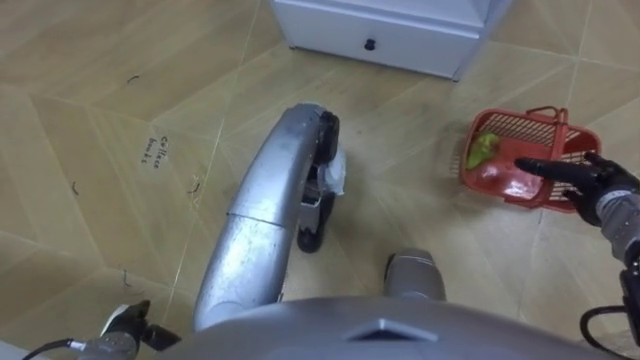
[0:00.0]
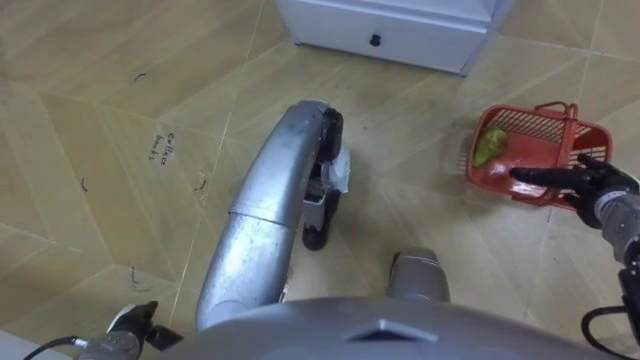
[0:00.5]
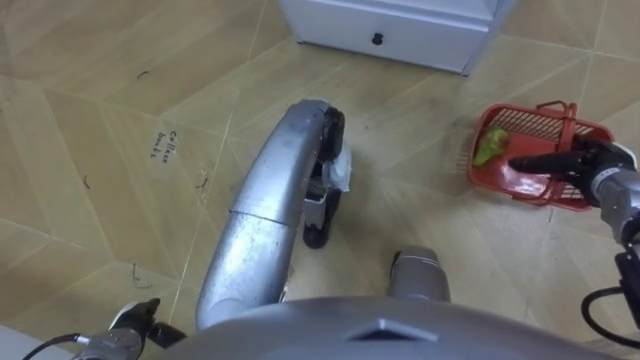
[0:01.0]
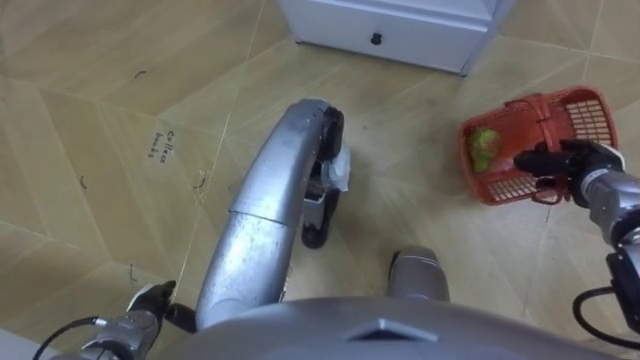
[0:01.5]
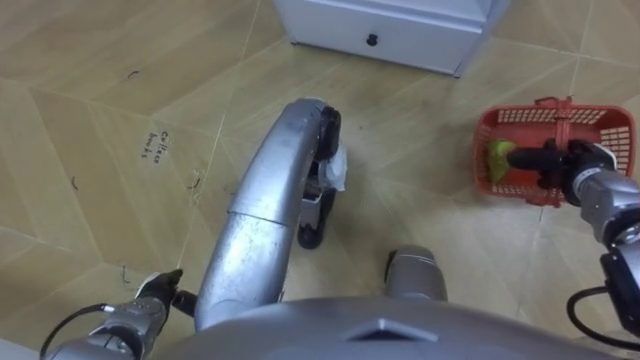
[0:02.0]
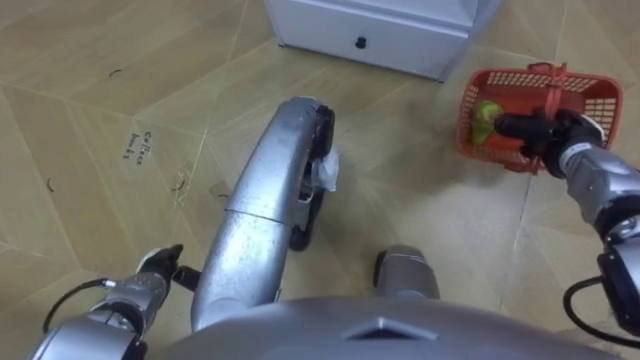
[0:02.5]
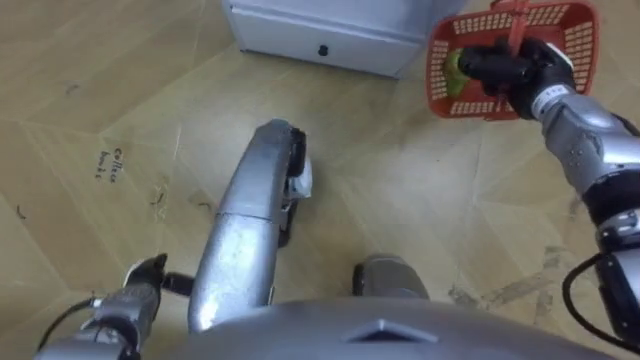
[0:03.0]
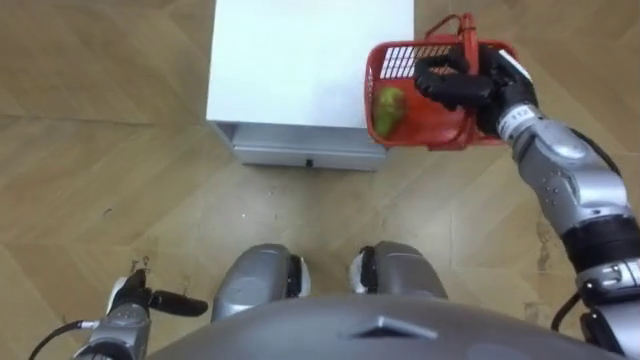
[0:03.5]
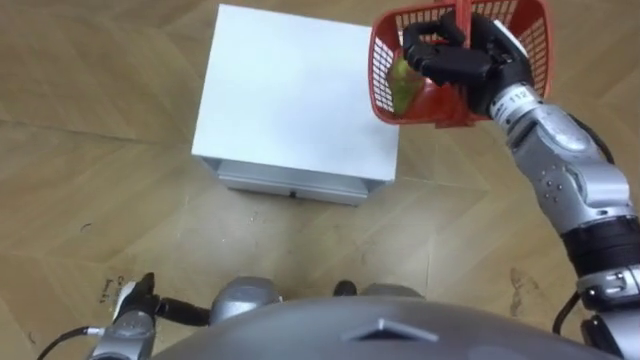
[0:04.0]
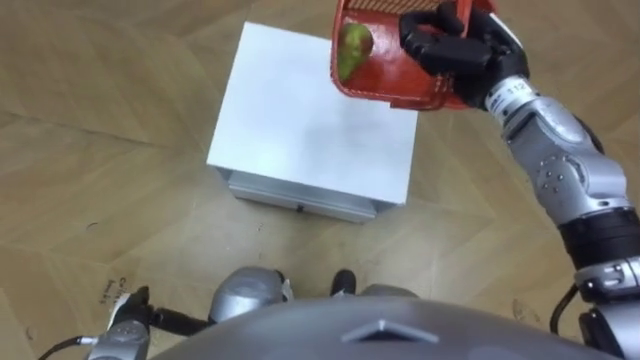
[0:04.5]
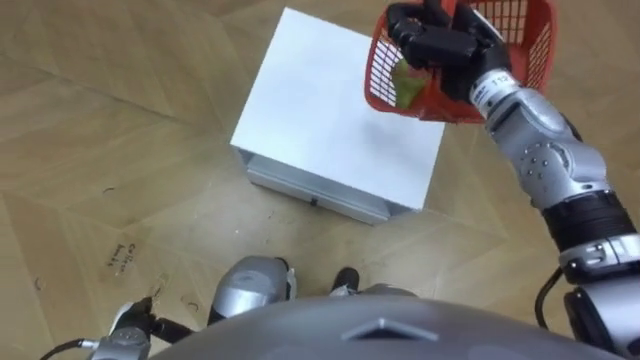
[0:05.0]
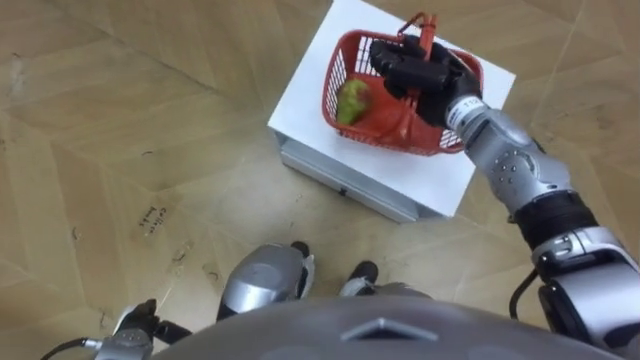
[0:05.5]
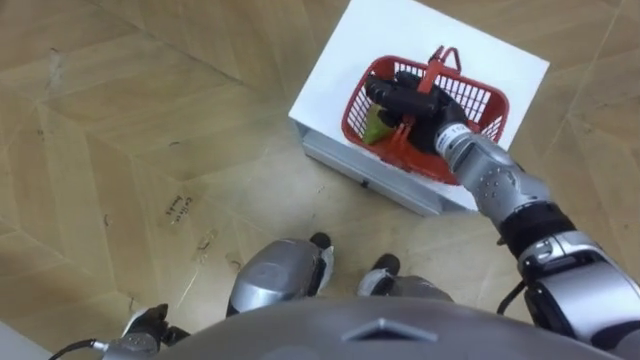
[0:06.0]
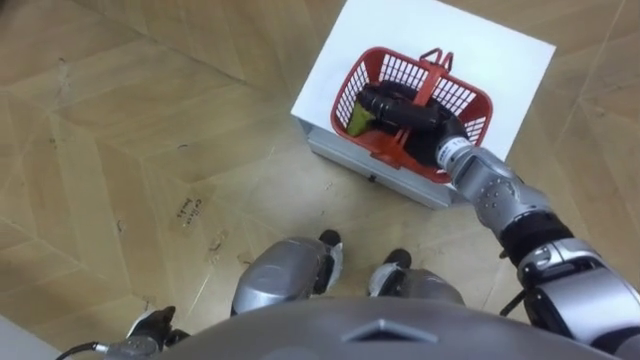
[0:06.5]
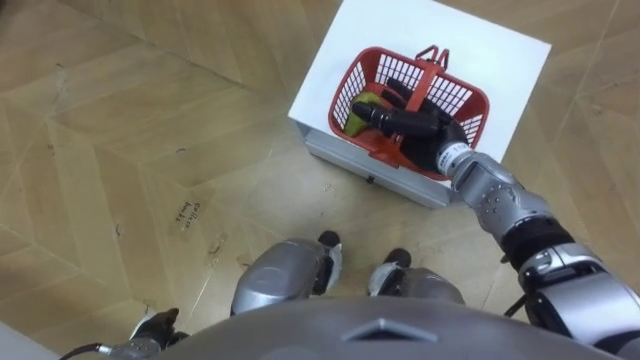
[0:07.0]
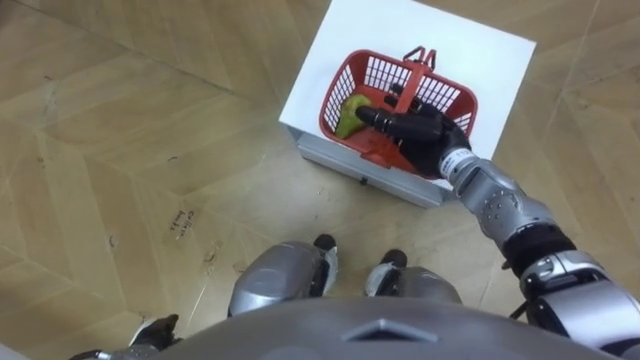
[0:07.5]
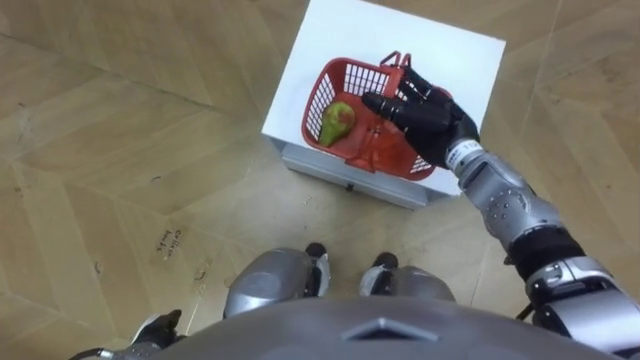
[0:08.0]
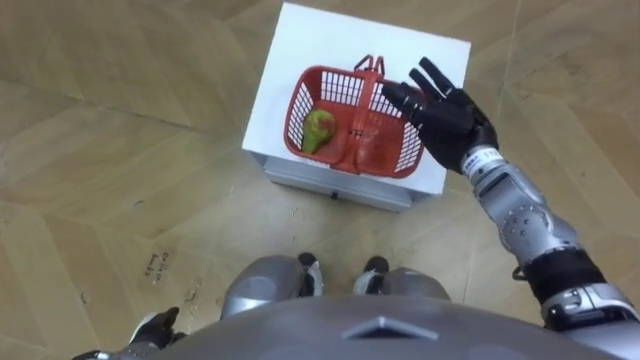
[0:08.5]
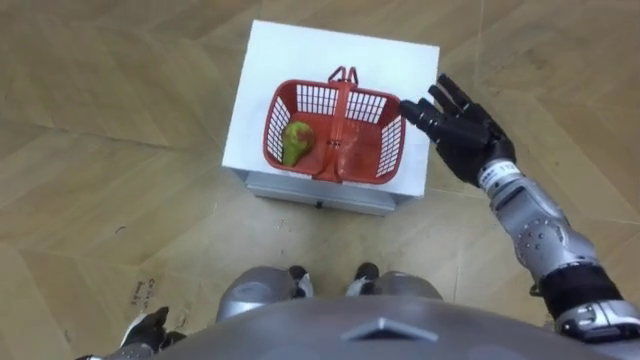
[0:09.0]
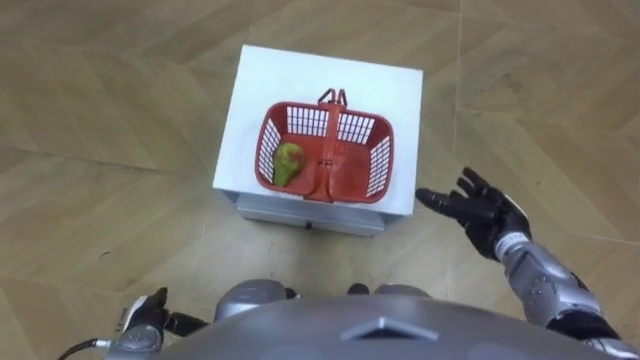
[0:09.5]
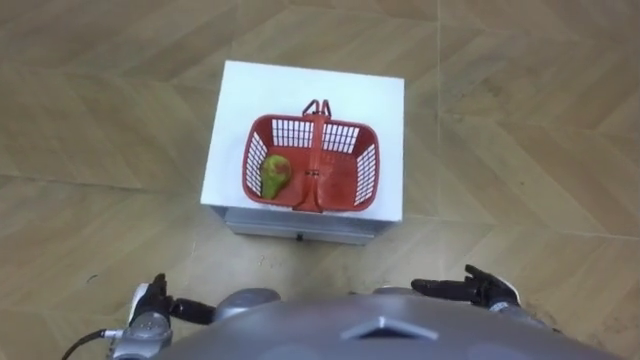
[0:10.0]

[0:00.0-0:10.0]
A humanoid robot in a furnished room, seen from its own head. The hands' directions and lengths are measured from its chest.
Task of the whole recording: Pick up the fruit basket from the floor and place it on the cabinet.
0:00.0 to 0:02.0: The right hand closes its fingers. Meanwhile the left hand ends up about 5 cm from where it was.
0:02.0 to 0:04.0: The right hand is displaced to the left, upward and forward by roughly 25 cm.
0:04.0 to 0:06.0: The right hand shifts some 10 cm downward and to the left.
0:06.0 to 0:08.0: The right hand opens.
0:08.0 to 0:10.0: The right hand travels backward, downward and to the right by roughly 30 cm; the left hand travels forward by approximately 5 cm.

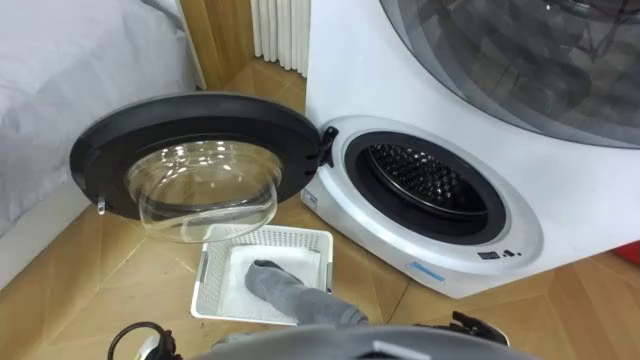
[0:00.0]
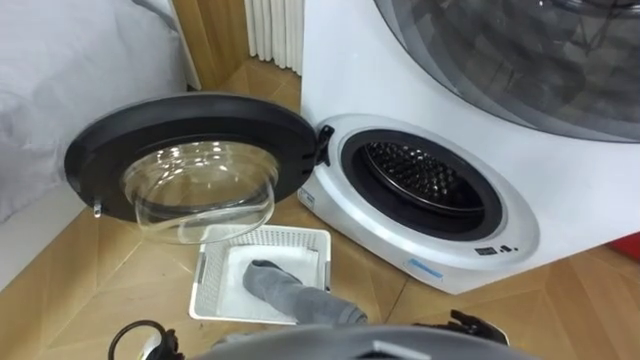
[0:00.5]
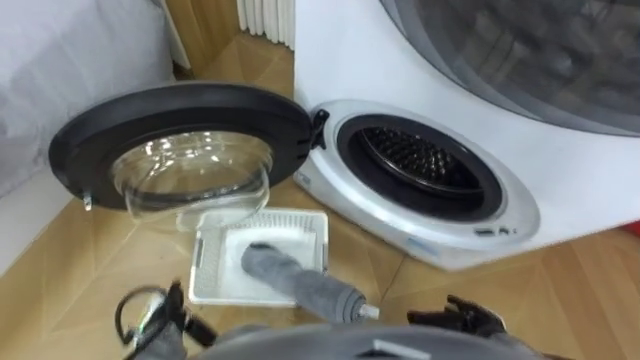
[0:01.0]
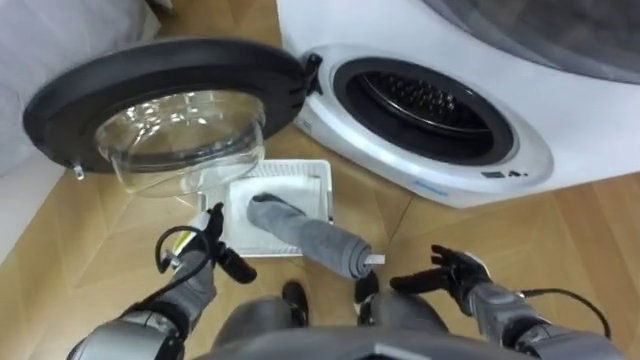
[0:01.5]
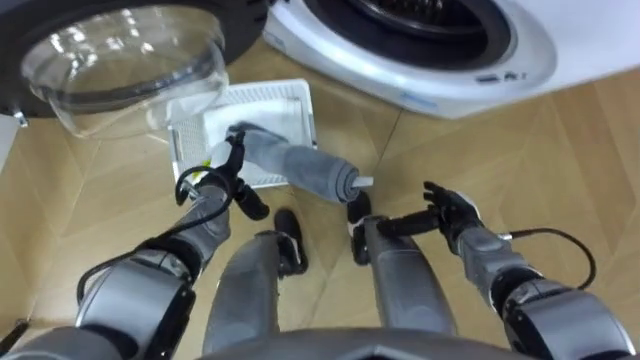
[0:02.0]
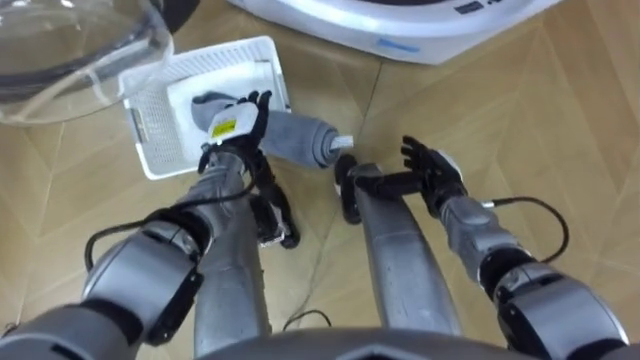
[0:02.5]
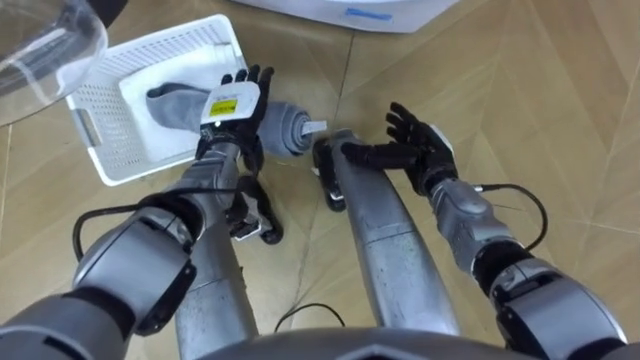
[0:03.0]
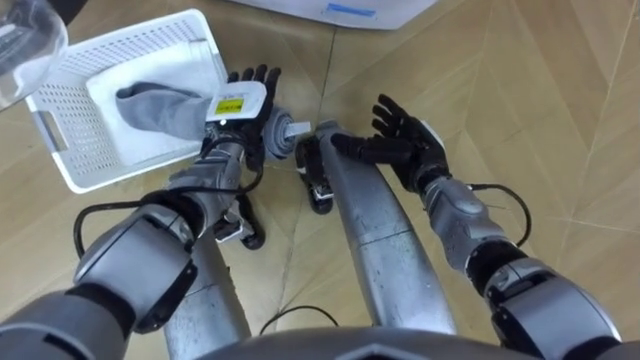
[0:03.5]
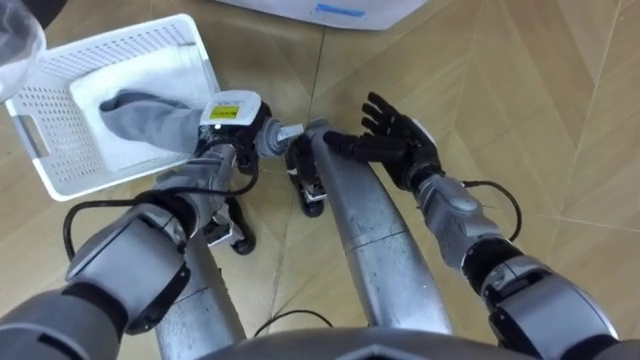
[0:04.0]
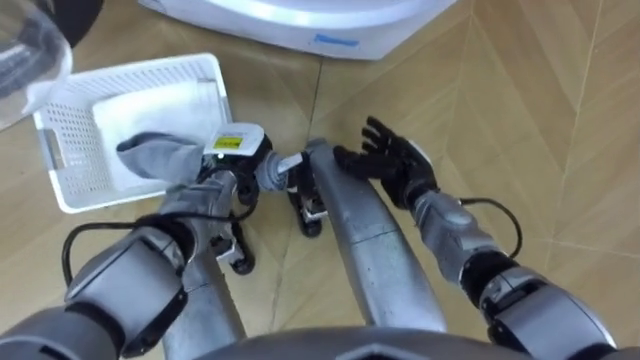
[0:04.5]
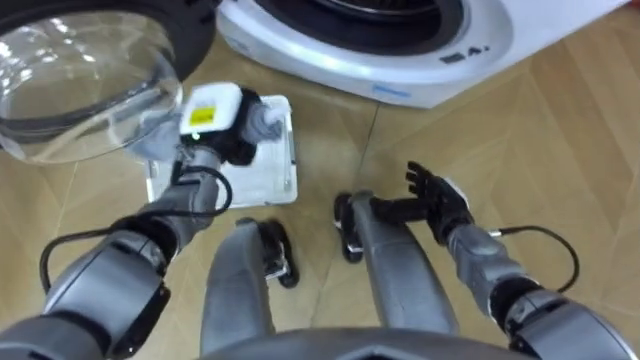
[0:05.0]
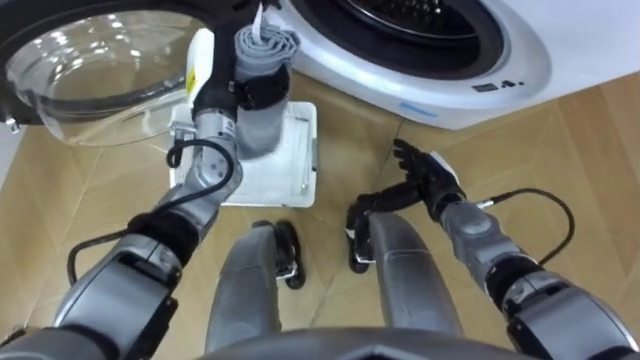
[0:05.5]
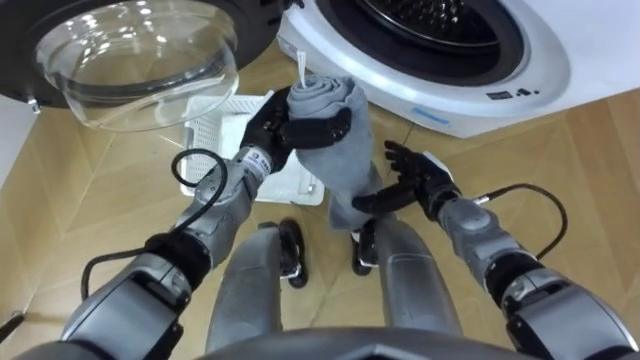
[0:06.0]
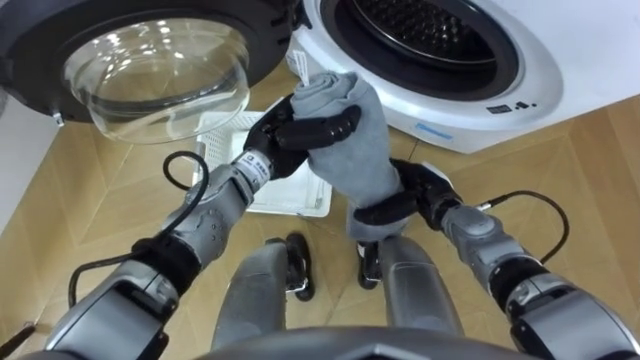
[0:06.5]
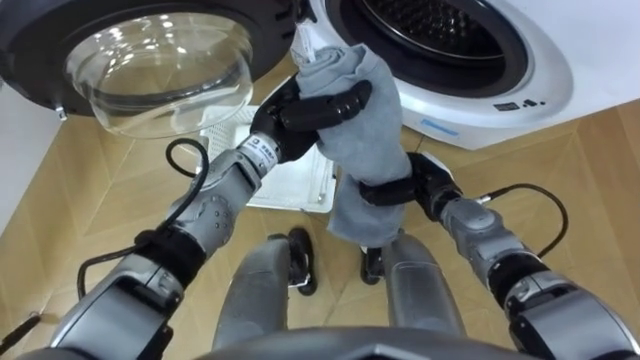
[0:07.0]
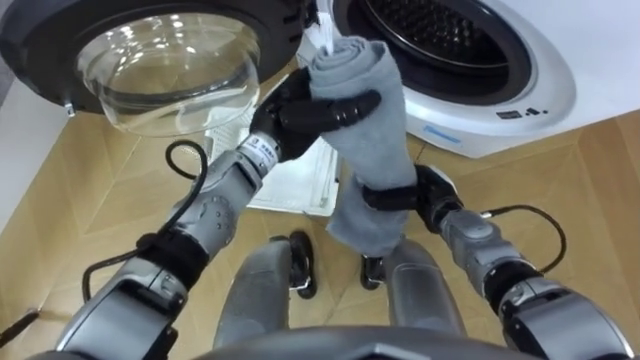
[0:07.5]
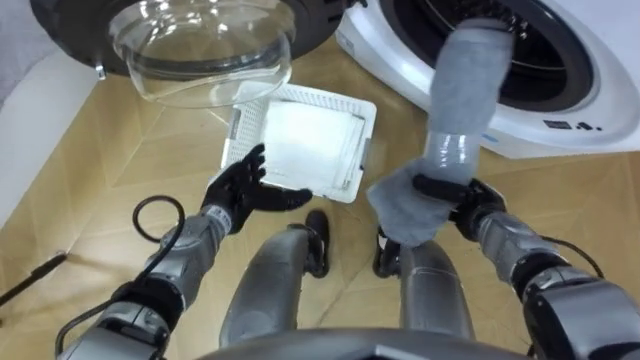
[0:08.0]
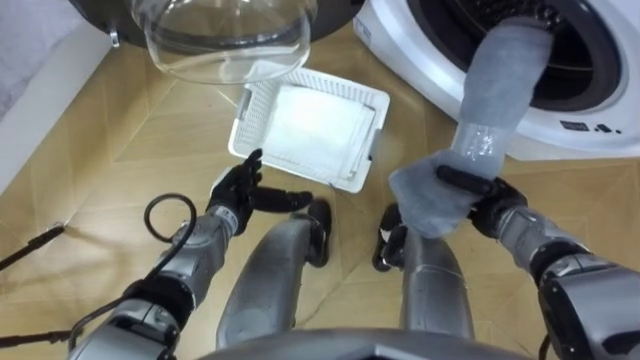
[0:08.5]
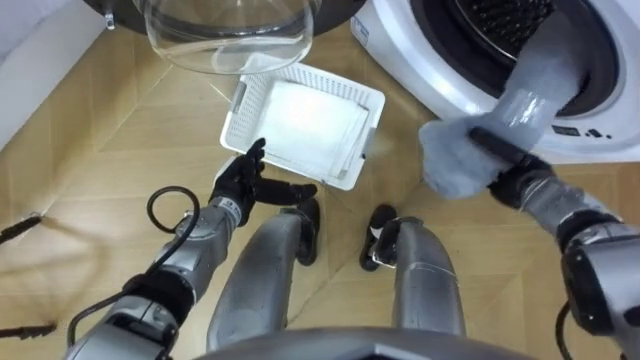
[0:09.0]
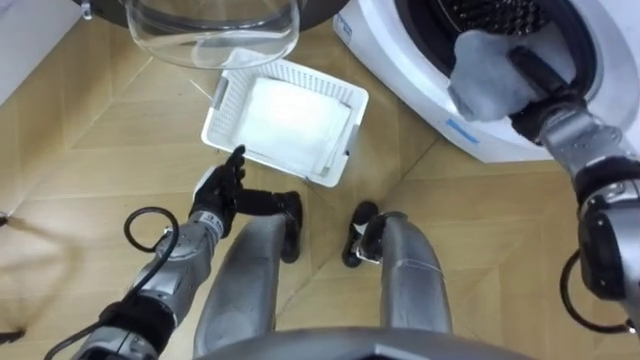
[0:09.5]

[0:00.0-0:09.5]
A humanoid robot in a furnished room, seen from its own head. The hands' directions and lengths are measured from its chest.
Task of the whole recording: Take the towel from the basket and put it into the washing machine.
0:02.0 to 0:04.0: The right hand heads to the left, forward and upward, covering approximately 15 cm. Meanwhile the left hand heads forward and upward, covering about 10 cm, and closes its fingers.
0:04.0 to 0:05.5: The left hand heads upward, covering roughly 10 cm.
0:05.5 to 0:07.5: The right hand closes its fingers. The left hand shifts approximately 10 cm to the right.
0:07.5 to 0:09.5: The left hand goes roughly 20 cm downward, to the left and backward. The right hand shifts about 20 cm to the right, upward and forward.
